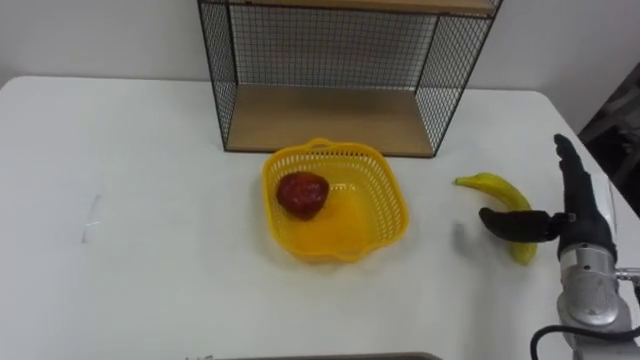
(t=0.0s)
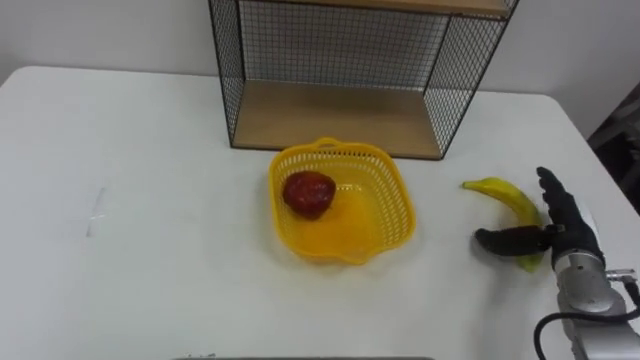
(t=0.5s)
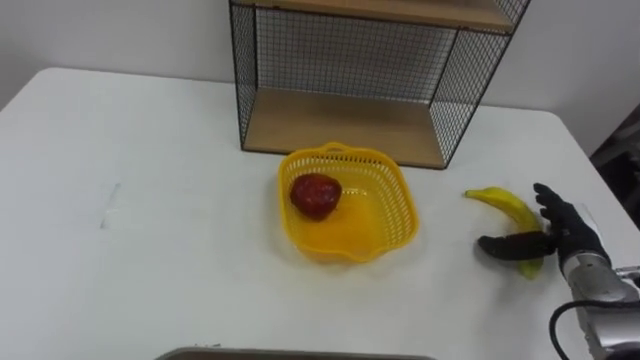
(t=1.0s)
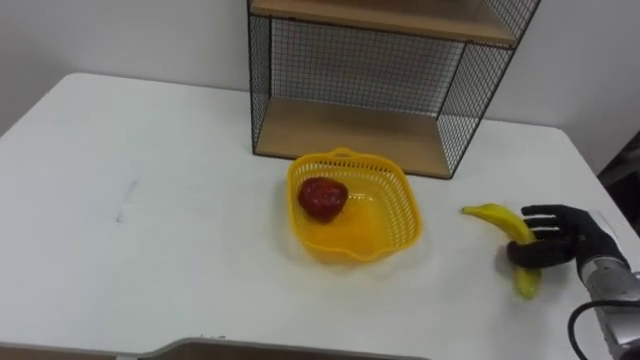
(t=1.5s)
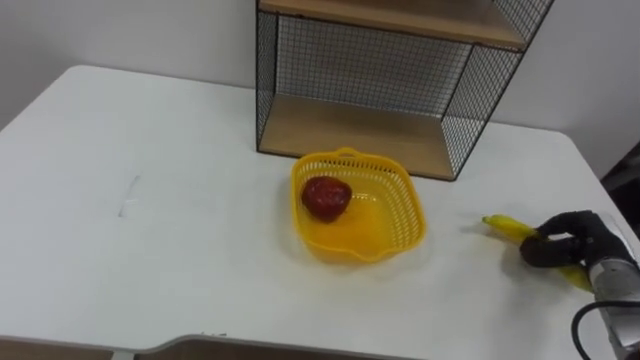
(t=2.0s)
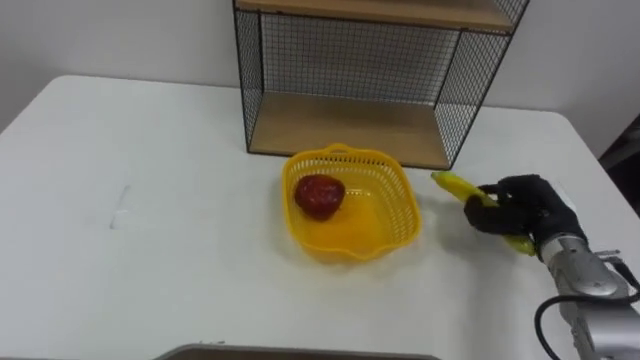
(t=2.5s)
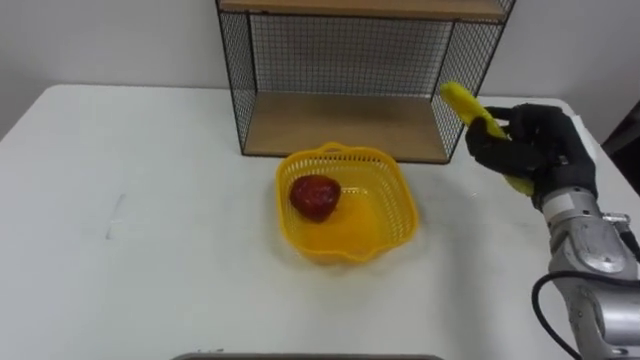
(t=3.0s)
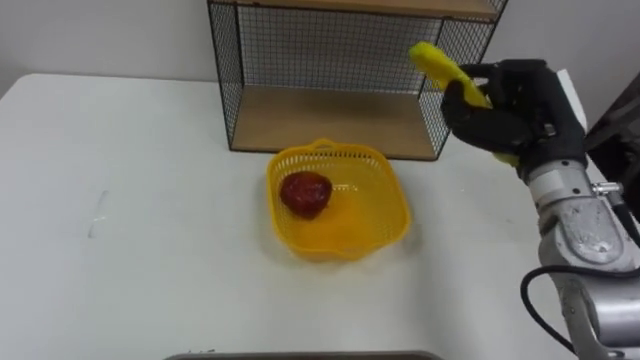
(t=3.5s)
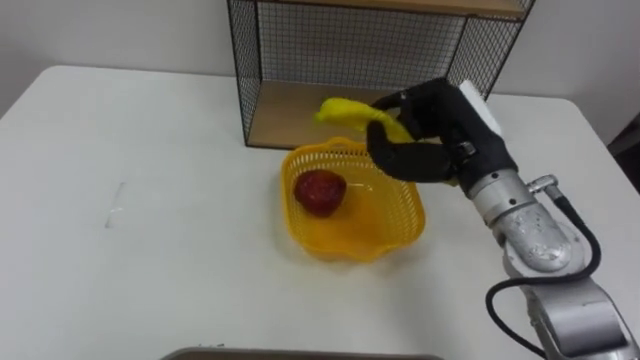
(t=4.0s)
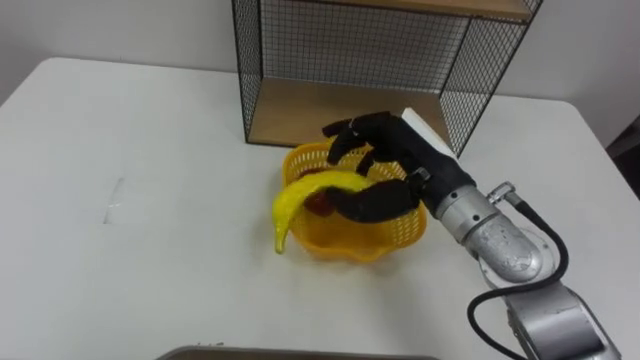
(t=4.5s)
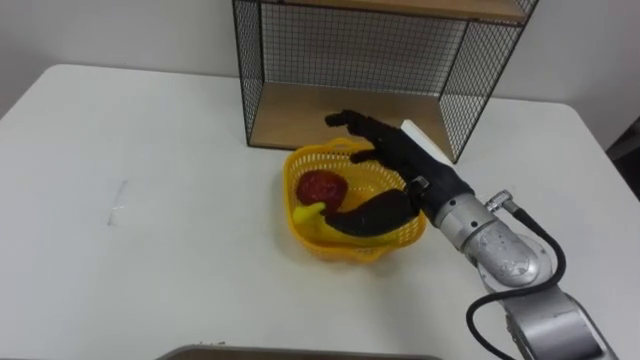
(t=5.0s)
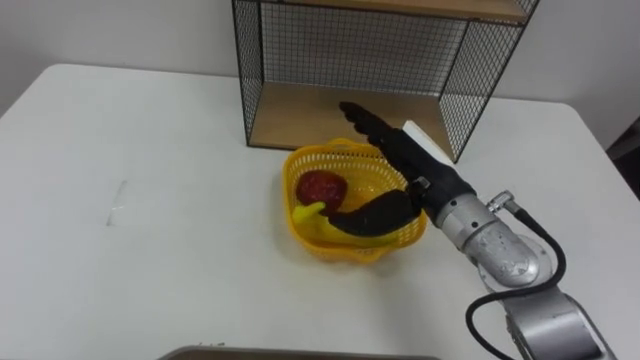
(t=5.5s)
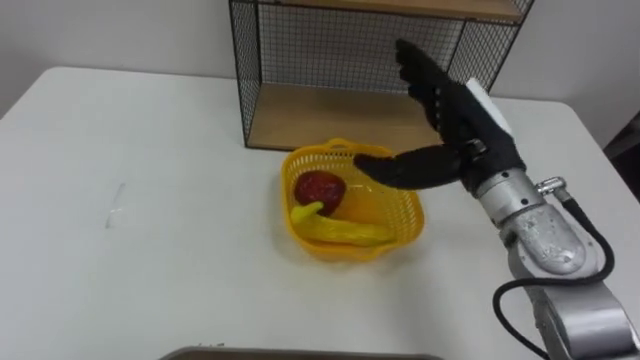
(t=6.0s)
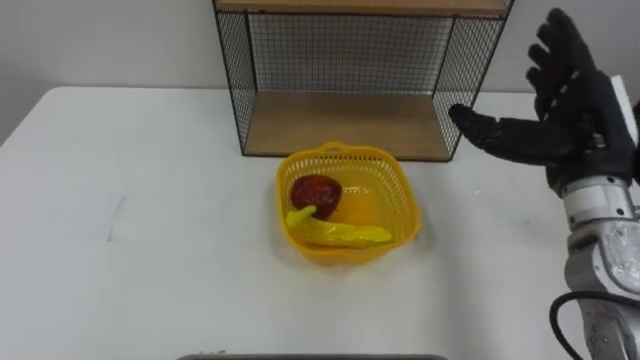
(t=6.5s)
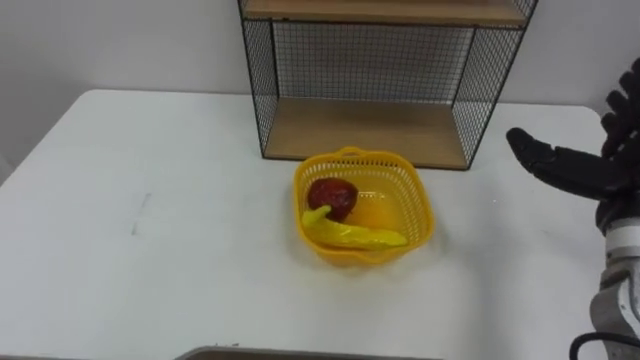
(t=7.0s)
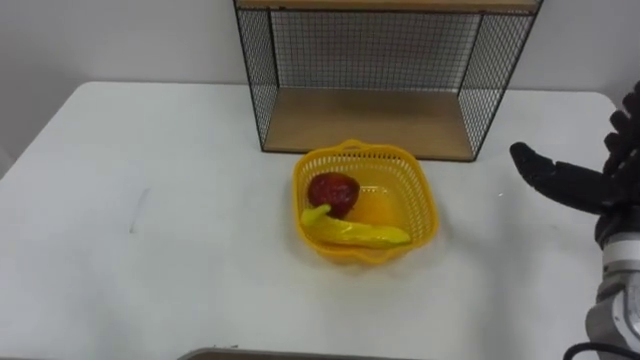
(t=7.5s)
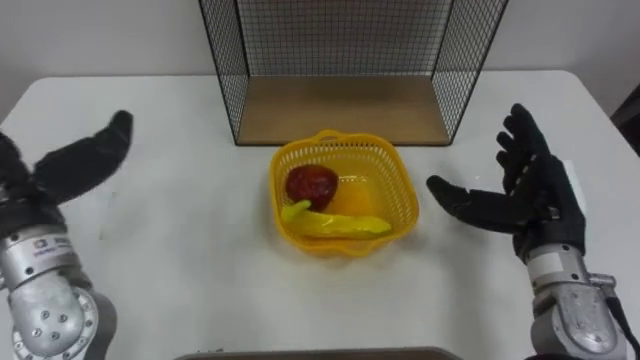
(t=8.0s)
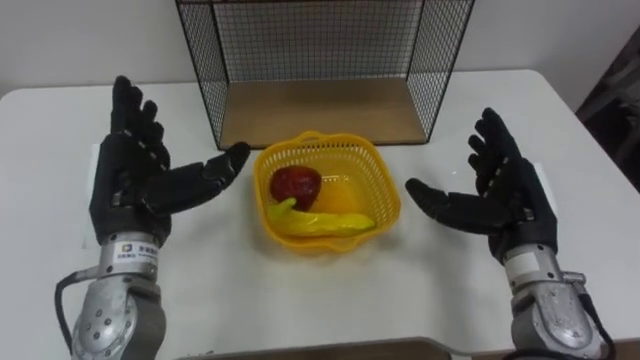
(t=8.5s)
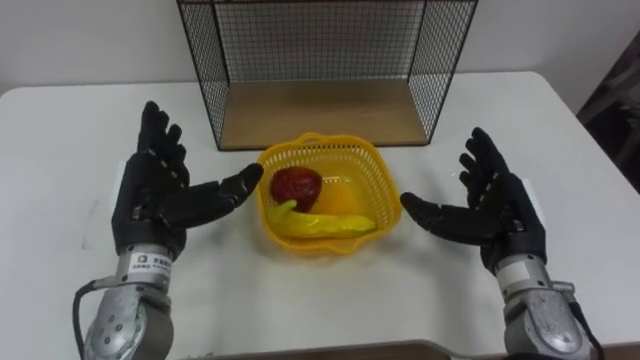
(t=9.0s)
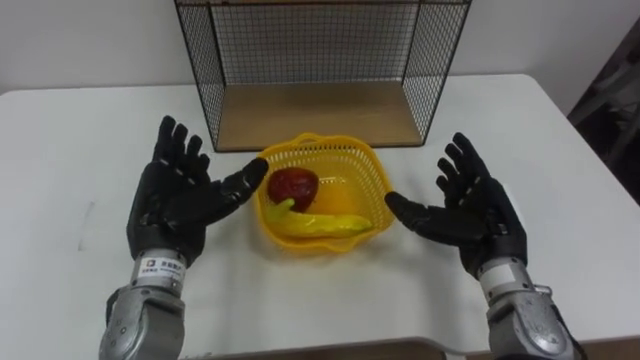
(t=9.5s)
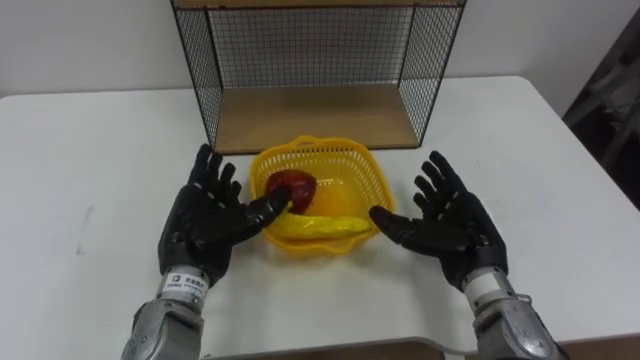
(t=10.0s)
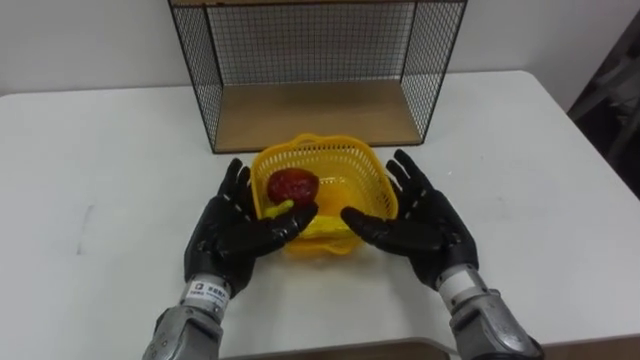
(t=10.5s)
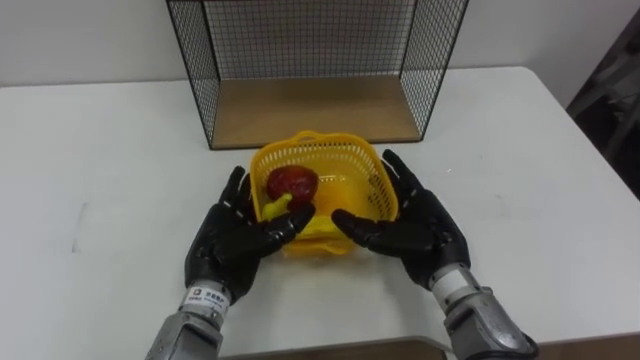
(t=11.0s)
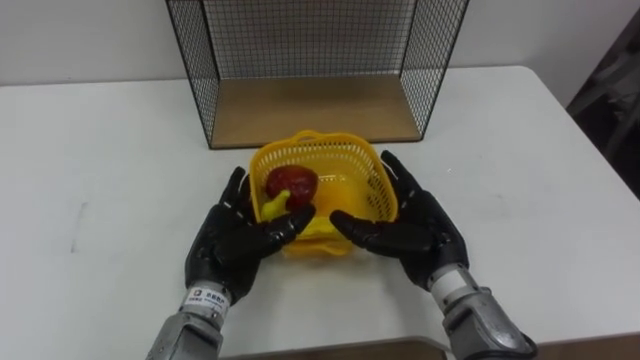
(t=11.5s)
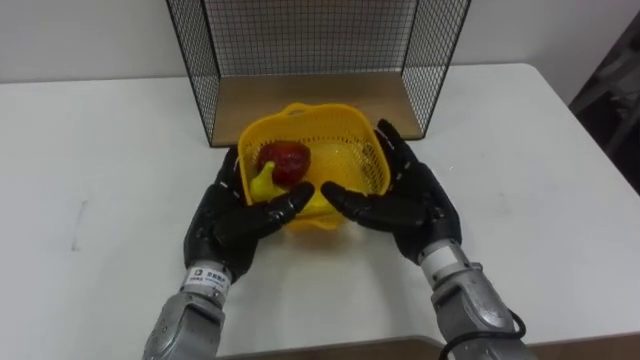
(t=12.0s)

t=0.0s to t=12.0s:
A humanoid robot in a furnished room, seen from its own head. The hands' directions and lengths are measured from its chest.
Task of the whole recording: Put the fruit on the table into the basket, then place the basket on the shelf.
t=0.0s to t=2.0s: The right hand shifts about 10 cm downward and to the right, and closes its fingers.
t=2.0s to t=4.0s: The right hand is displaced to the left and upward by about 30 cm.
t=4.0s to t=6.0s: The right hand opens up.
t=8.0s to t=10.0s: The right hand travels to the left and downward by approximately 10 cm.
t=10.0s to t=12.0s: The right hand heads to the left, covering approximately 5 cm.

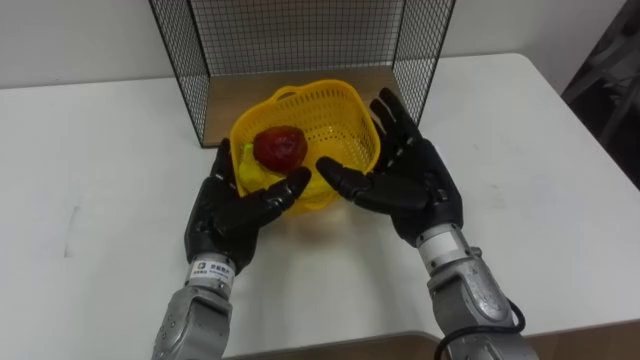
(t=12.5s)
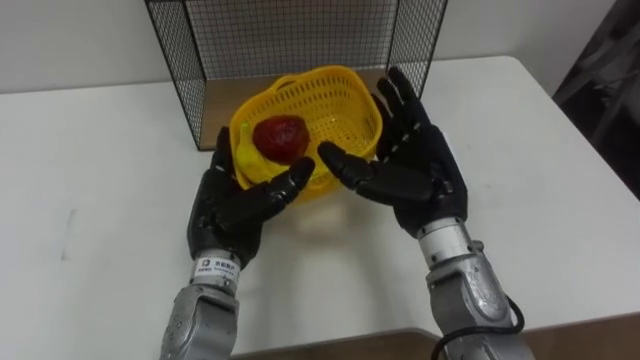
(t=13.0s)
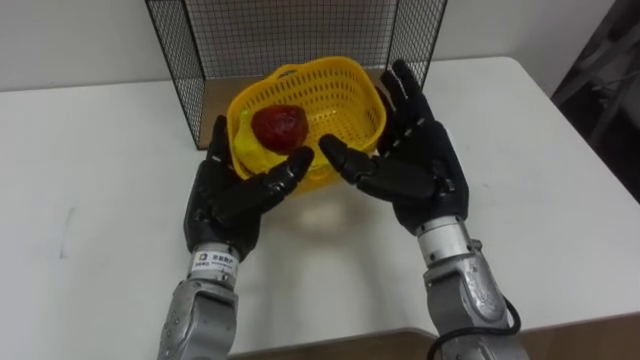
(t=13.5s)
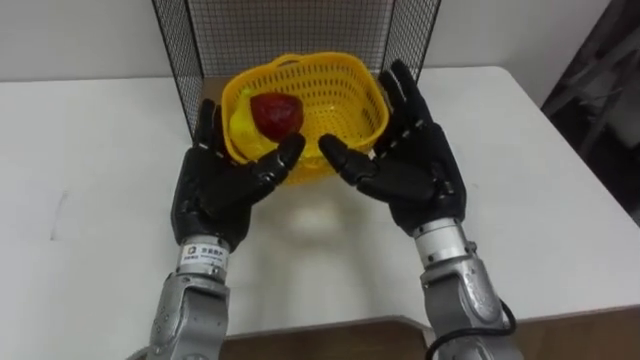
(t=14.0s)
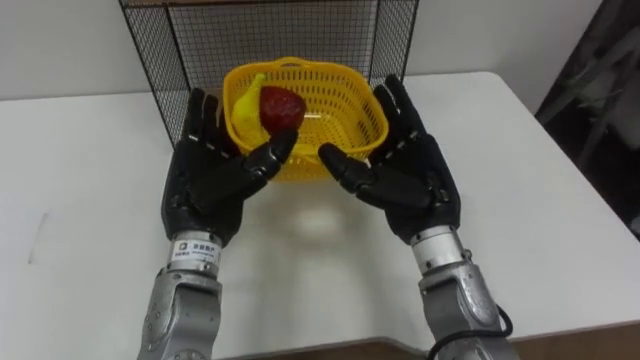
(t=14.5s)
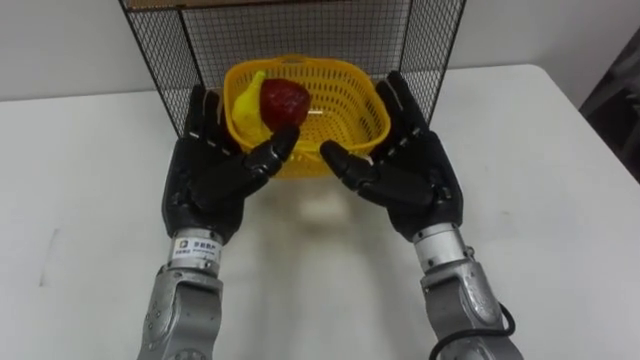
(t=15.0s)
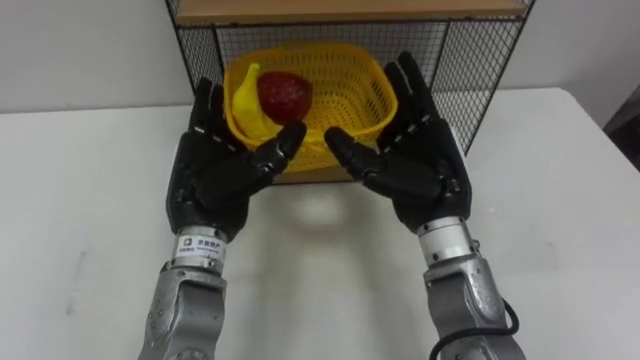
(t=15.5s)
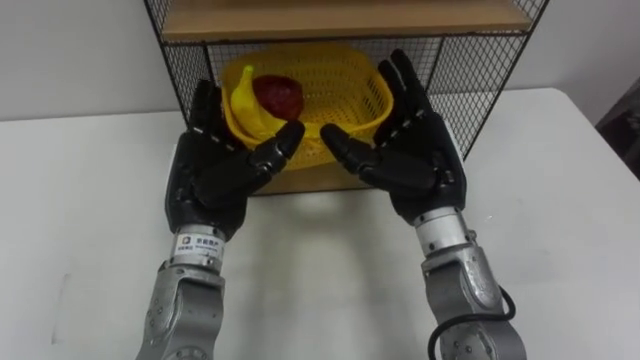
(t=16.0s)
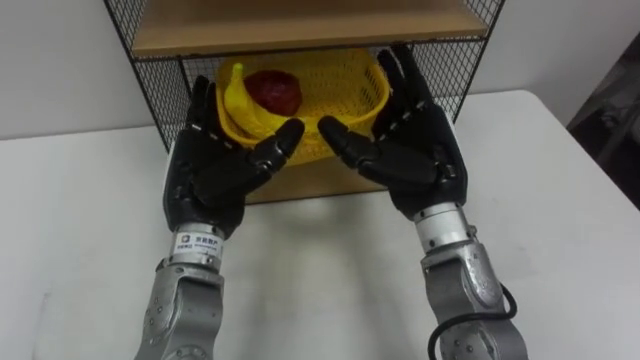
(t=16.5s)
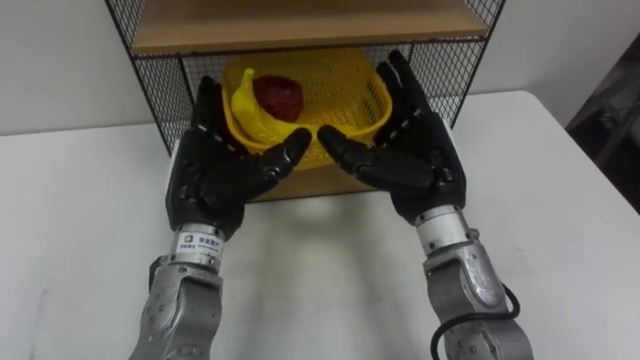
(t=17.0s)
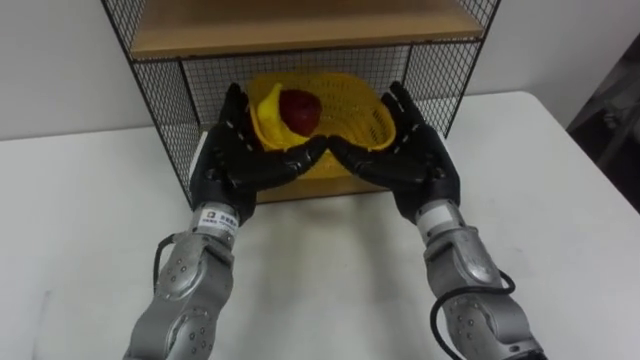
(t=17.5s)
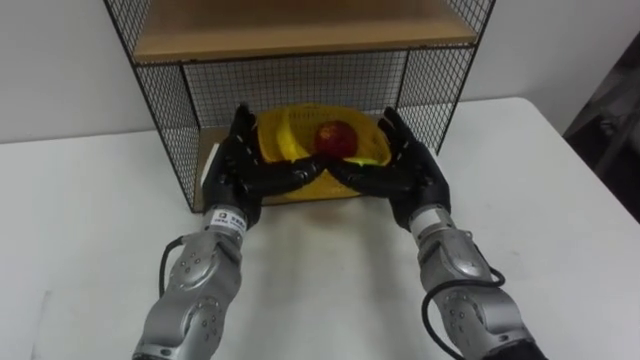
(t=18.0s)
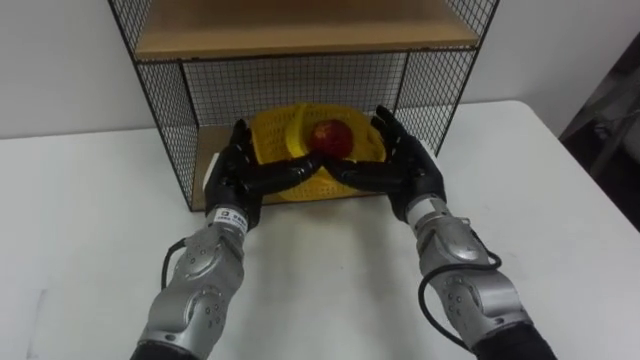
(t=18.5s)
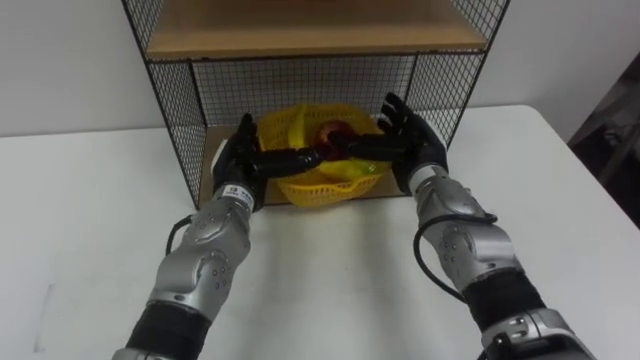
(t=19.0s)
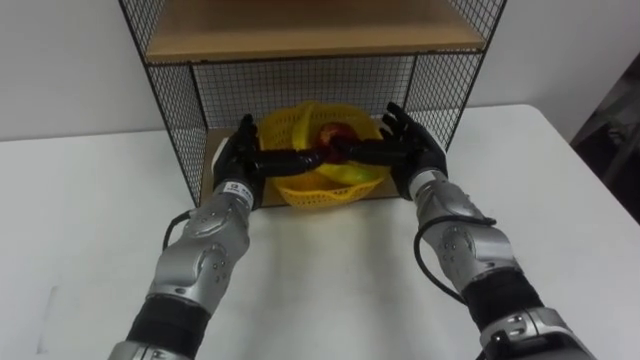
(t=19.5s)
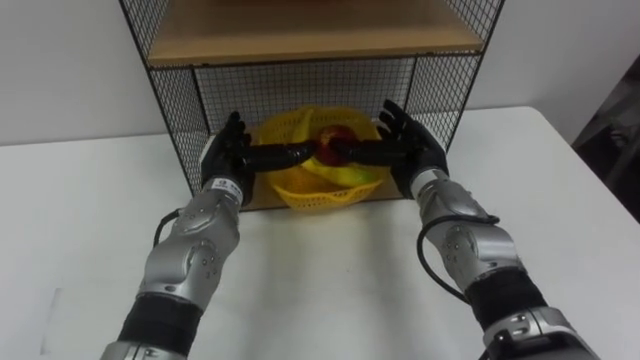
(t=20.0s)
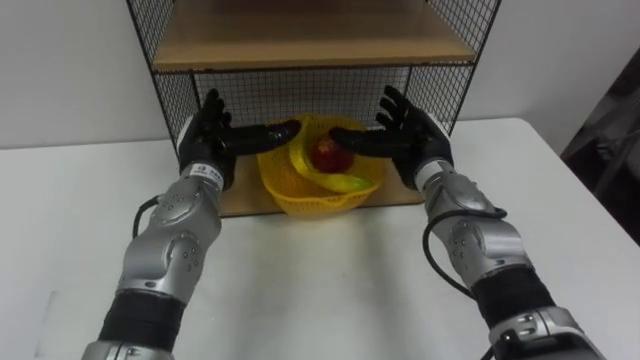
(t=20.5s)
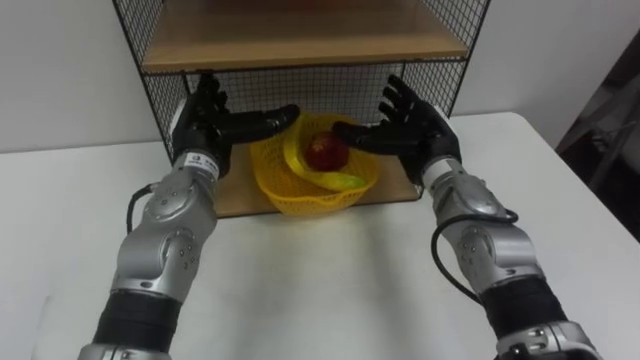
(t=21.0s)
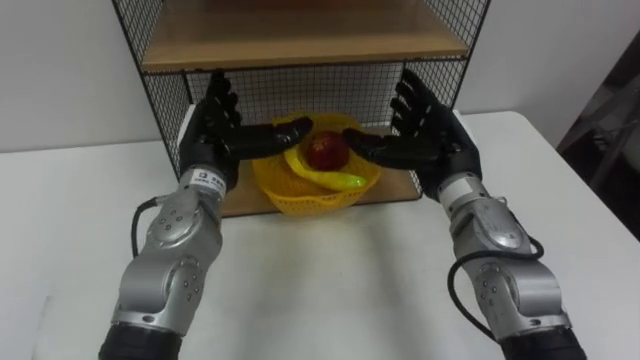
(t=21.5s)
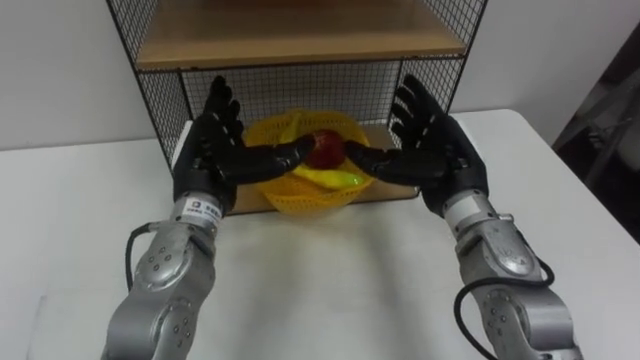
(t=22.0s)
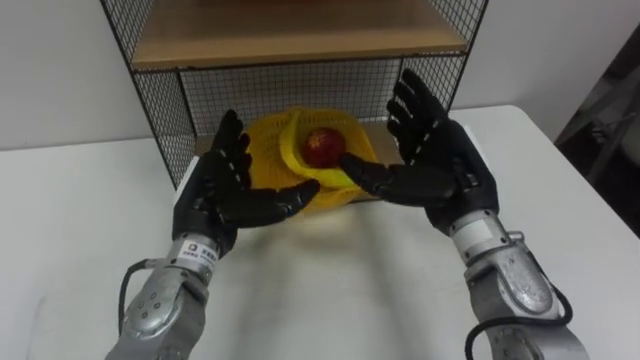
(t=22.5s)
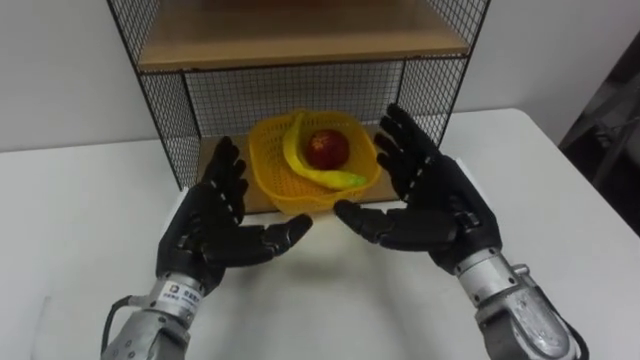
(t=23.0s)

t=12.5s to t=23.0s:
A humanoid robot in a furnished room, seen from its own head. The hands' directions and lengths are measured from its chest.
Task of the whole recording: Put the fruit on the table into the basket, then place the basket on the shelf.
t=12.5s to t=14.5s: The left hand shifts roughly 5 cm upward.
t=16.5s to t=19.0s: Both hands move downward and forward, approximately 10 cm.
t=19.0s to t=21.0s: The left hand goes approximately 5 cm upward.
t=21.0s to t=23.0s: The two hands go some 10 cm backward.
